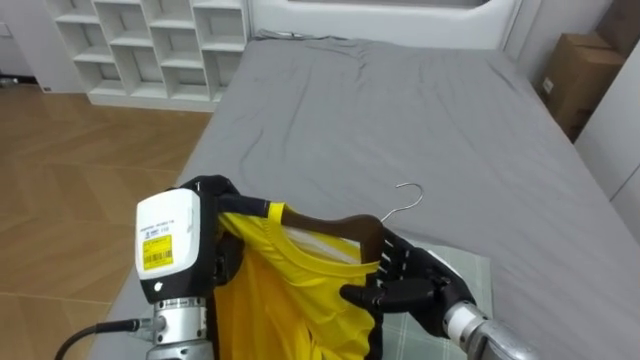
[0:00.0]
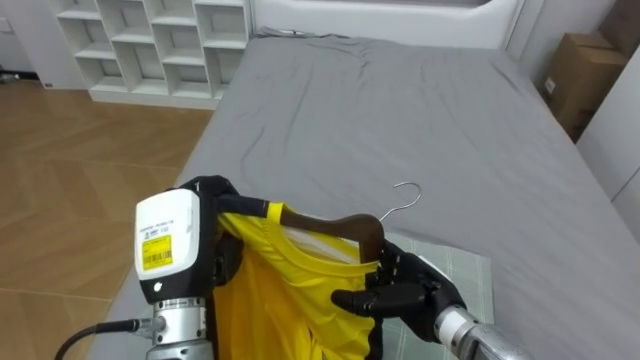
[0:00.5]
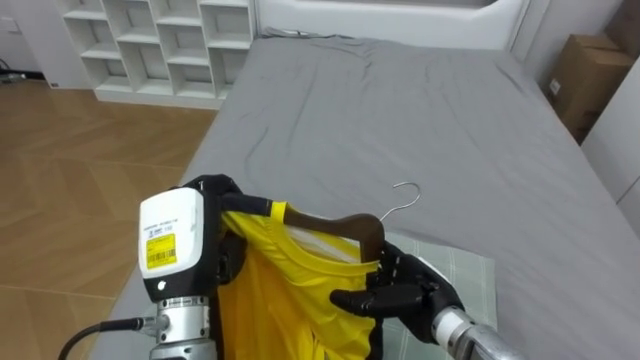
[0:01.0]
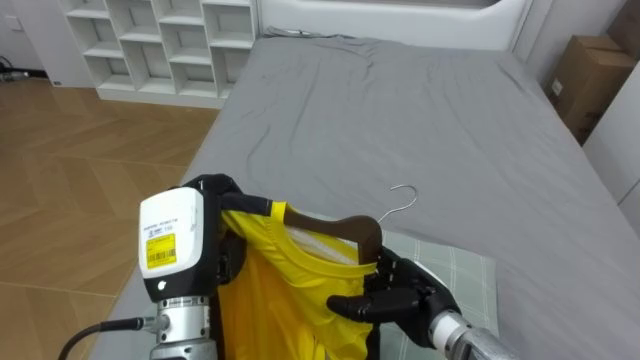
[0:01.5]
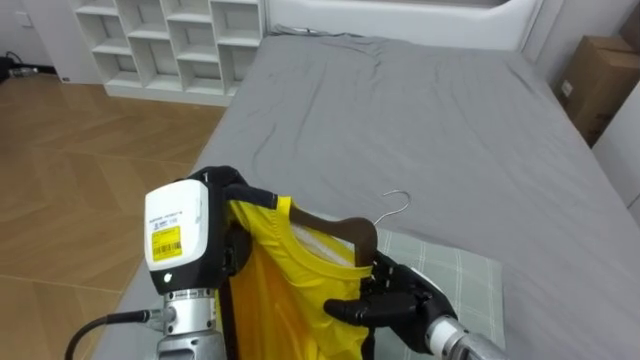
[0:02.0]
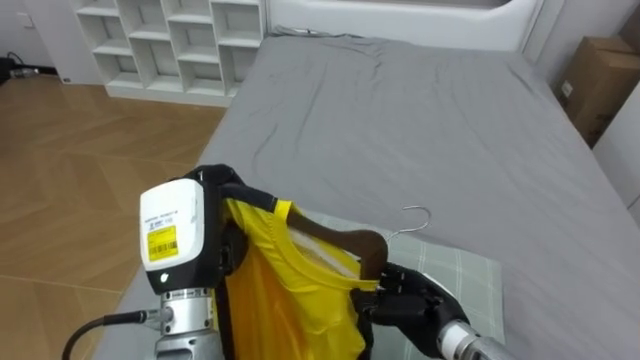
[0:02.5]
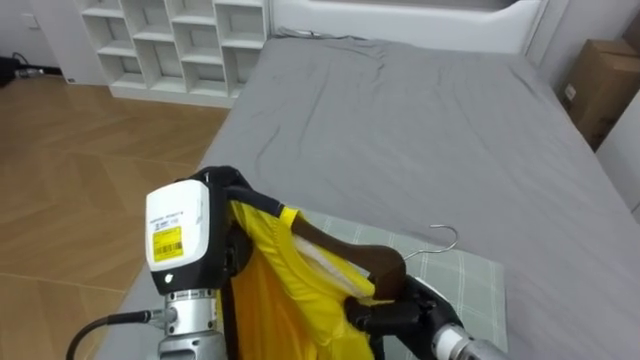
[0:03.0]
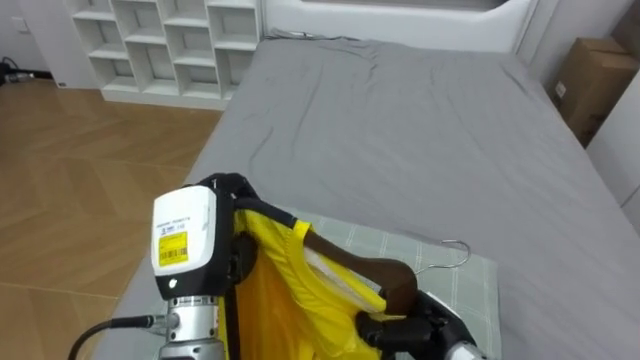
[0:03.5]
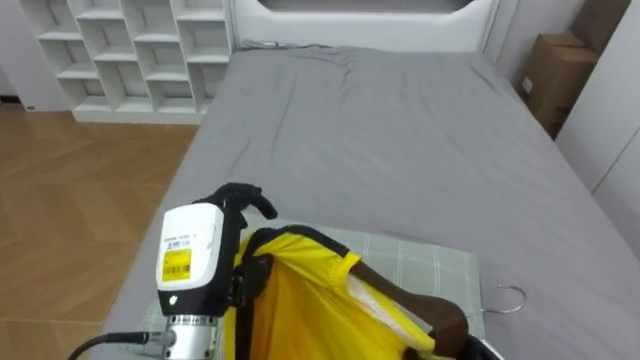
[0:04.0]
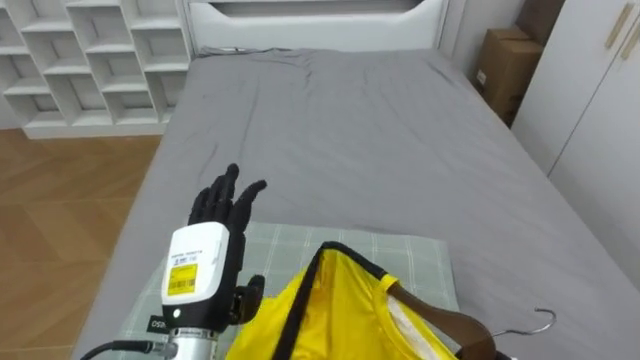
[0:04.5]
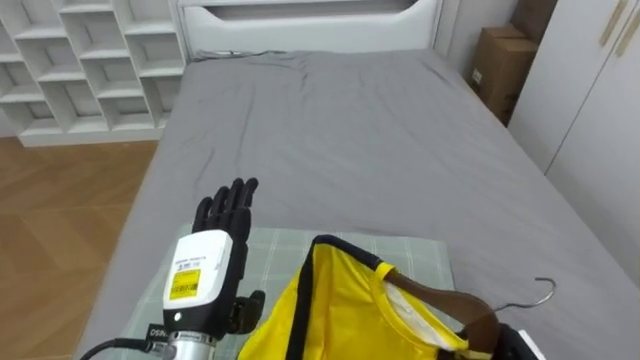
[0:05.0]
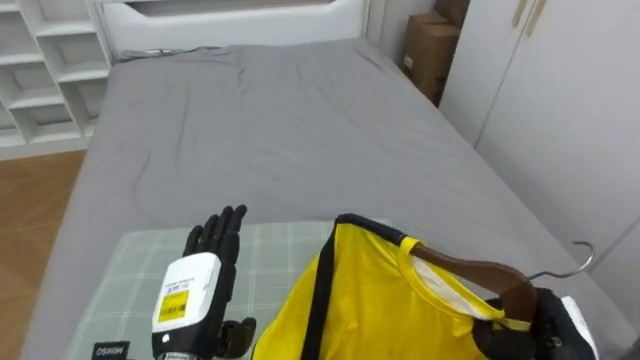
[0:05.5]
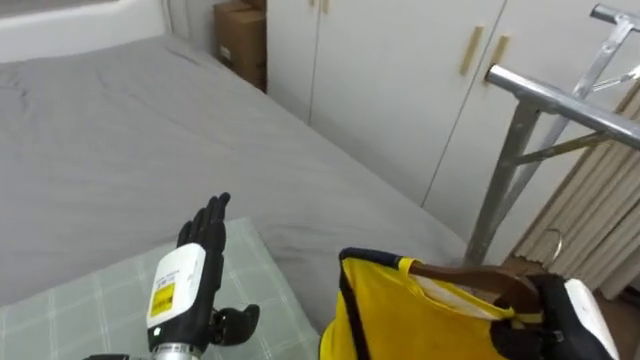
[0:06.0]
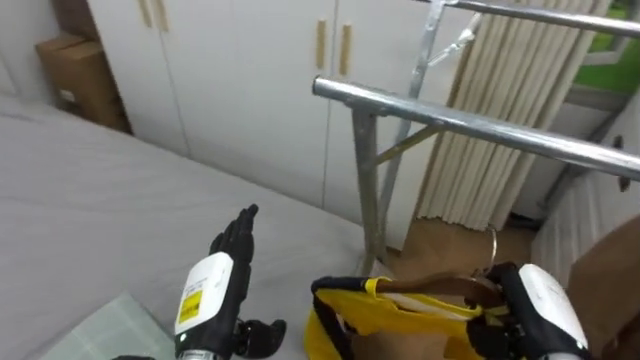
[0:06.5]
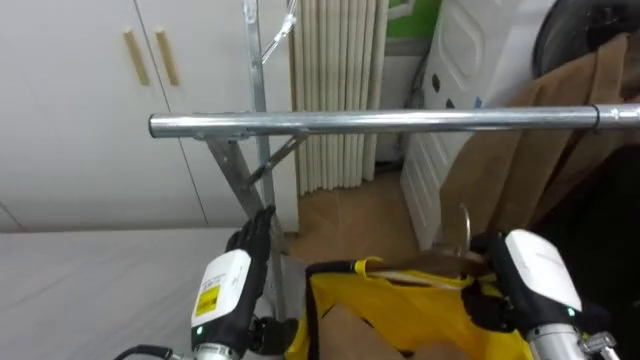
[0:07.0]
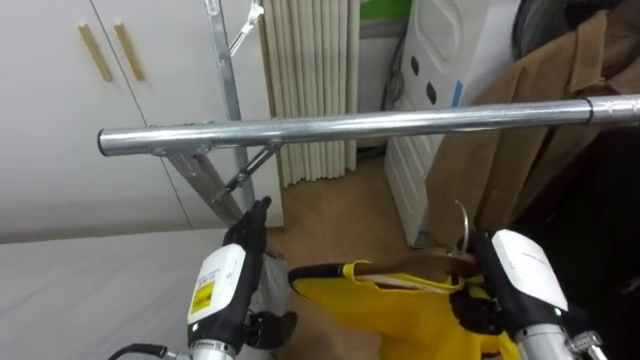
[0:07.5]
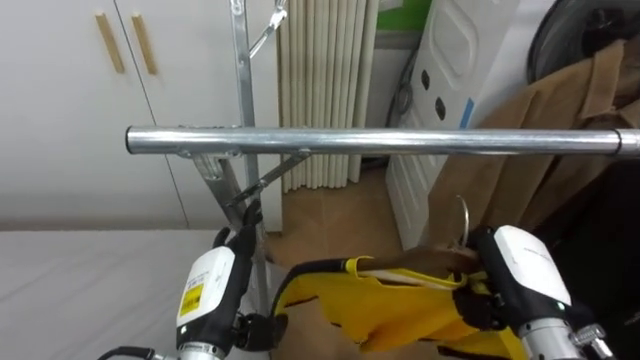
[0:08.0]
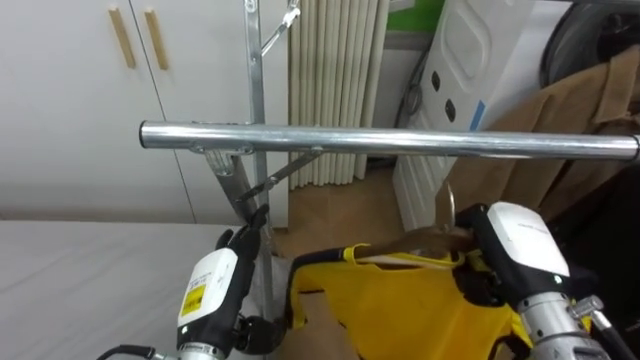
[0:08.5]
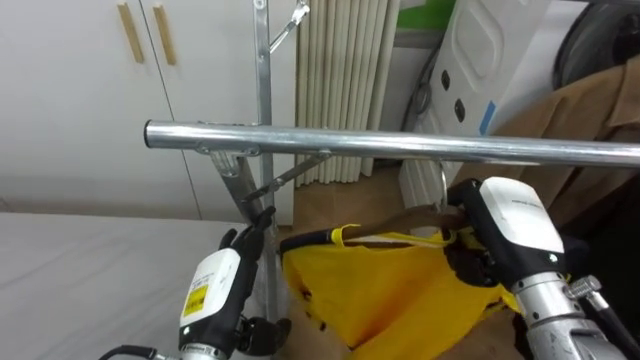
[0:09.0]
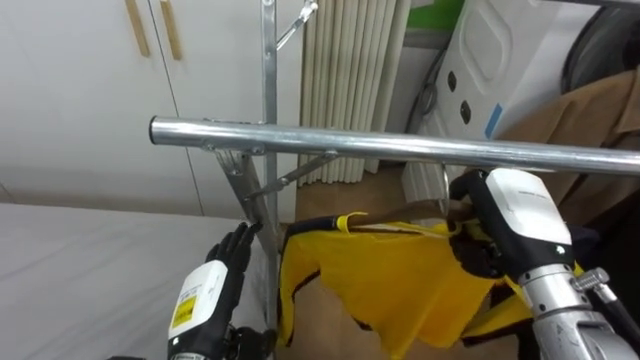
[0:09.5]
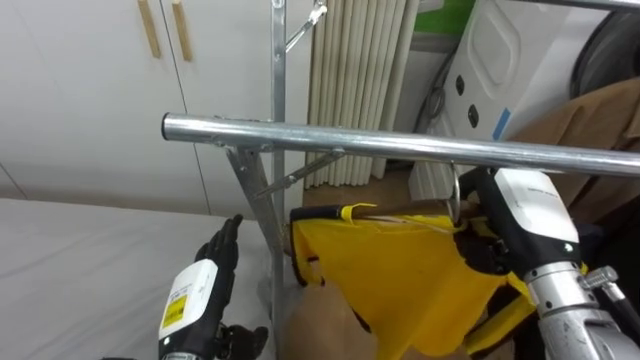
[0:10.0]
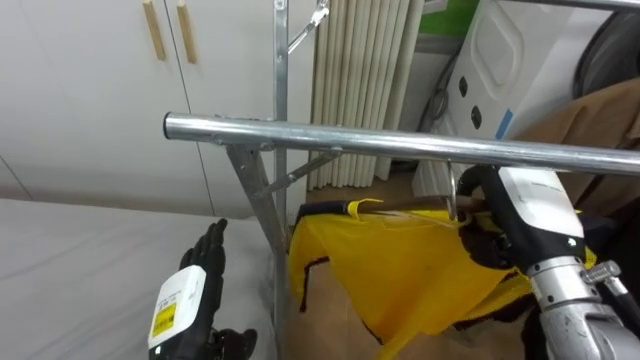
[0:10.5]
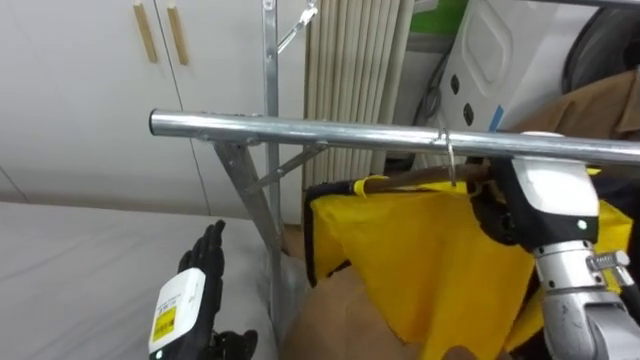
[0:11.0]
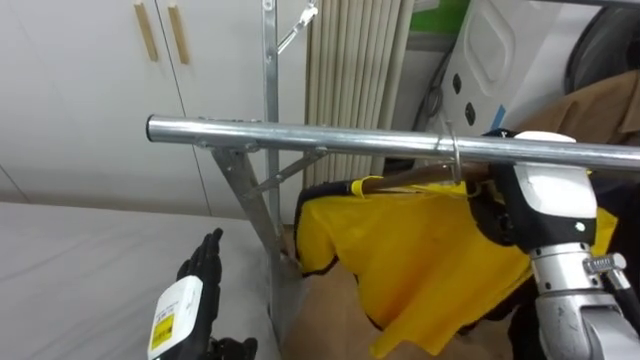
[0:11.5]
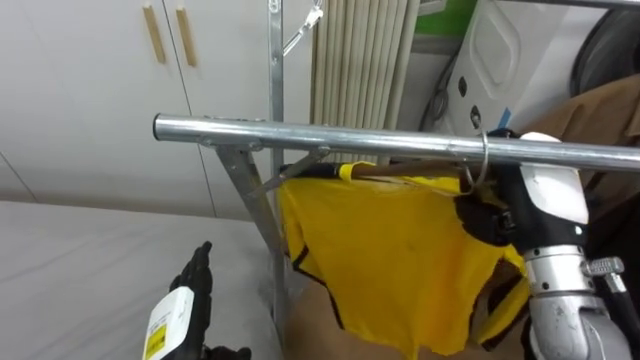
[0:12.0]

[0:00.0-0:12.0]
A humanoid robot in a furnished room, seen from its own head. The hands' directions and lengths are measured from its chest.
Task of the whole recording: Pick up the yellow shirt on the bed and hang it on the clothes rack on the right.
0:04.0 to 0:06.0: The robot's body swings some 40 degrees to its right. The left hand travels downward by approximately 5 cm, and opens up.
0:06.0 to 0:08.0: The robot rotates approximately 55 degrees to its right. The right hand moves to the left and upward, some 10 cm.
0:08.0 to 0:10.0: The right hand goes roughly 5 cm upward.

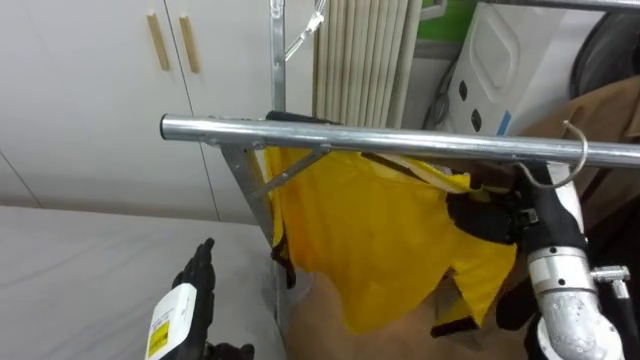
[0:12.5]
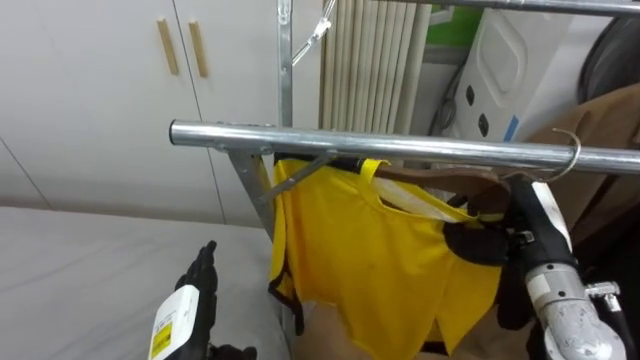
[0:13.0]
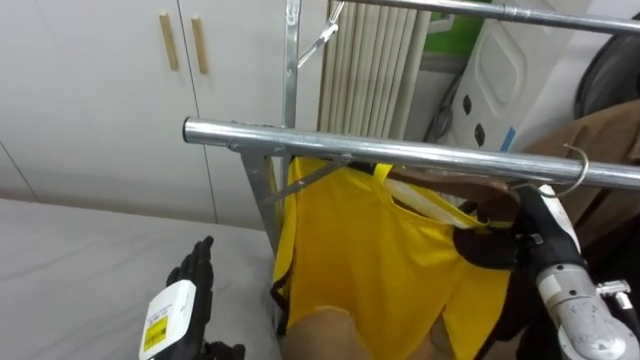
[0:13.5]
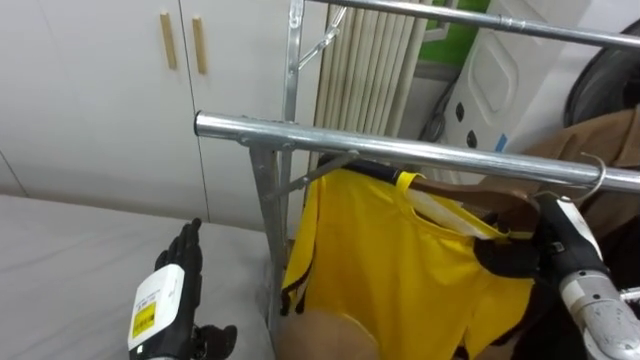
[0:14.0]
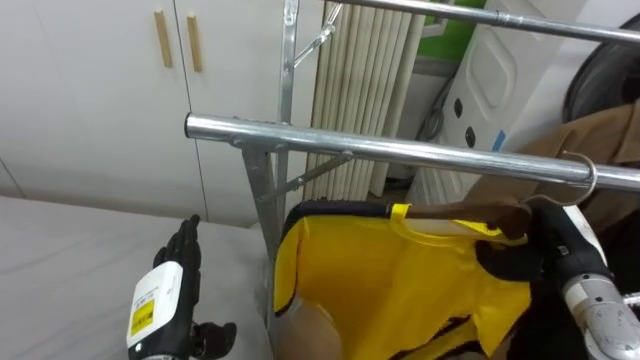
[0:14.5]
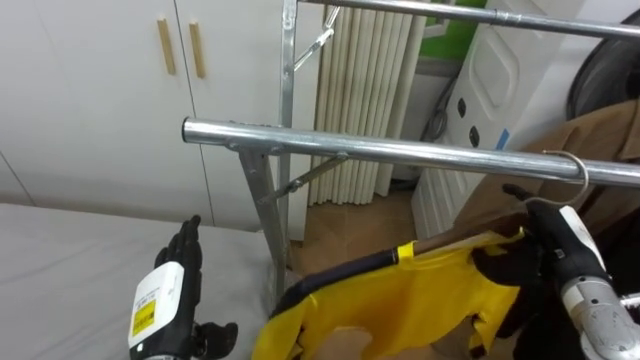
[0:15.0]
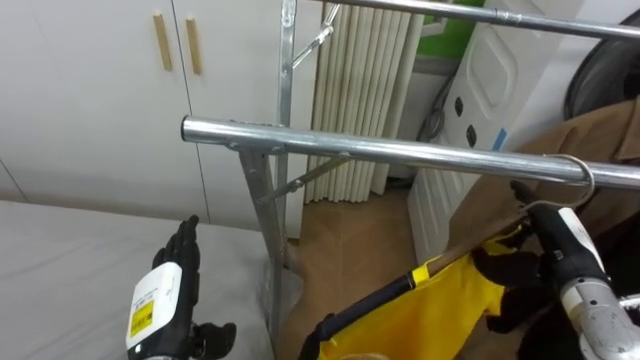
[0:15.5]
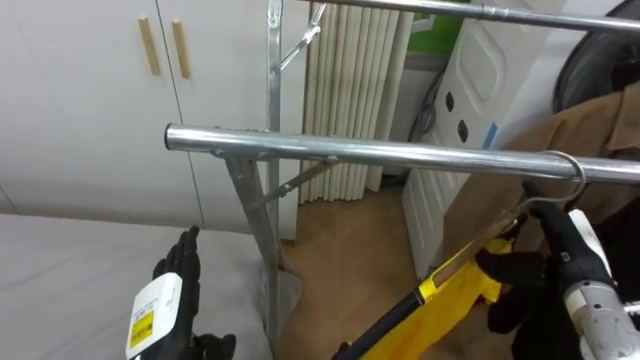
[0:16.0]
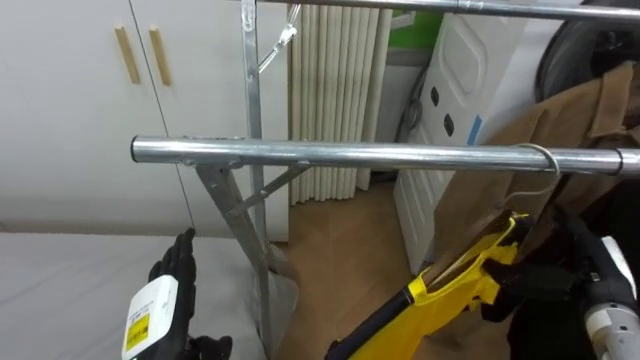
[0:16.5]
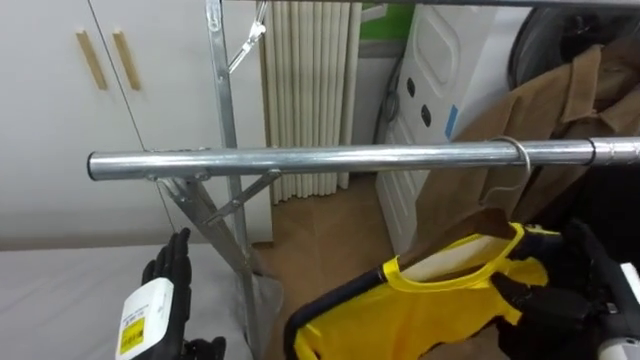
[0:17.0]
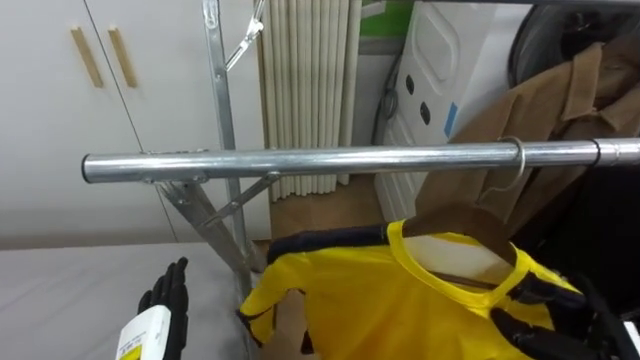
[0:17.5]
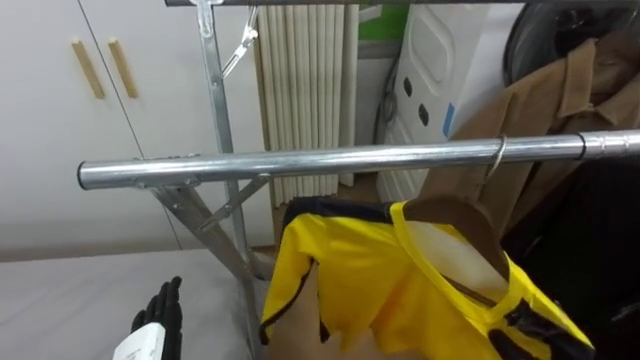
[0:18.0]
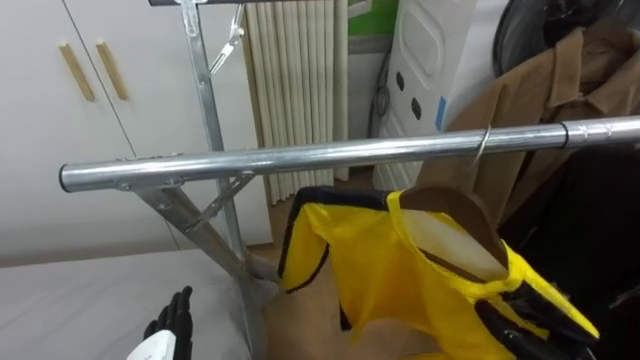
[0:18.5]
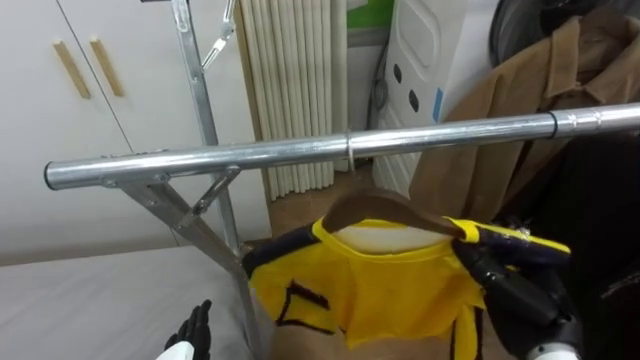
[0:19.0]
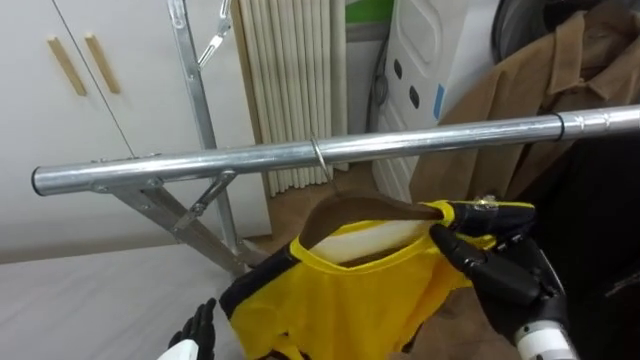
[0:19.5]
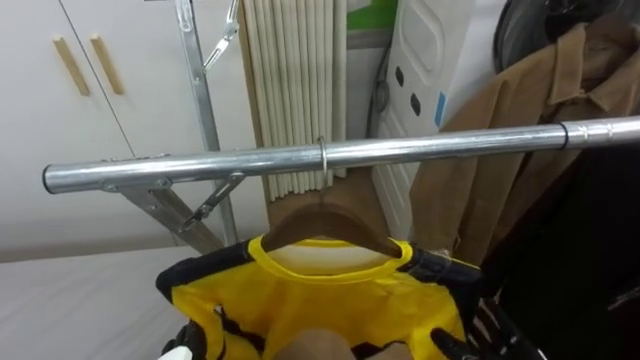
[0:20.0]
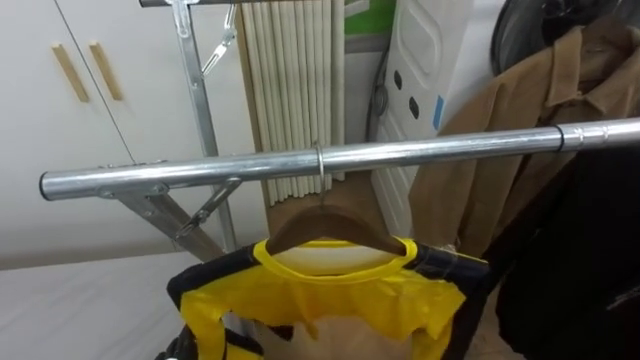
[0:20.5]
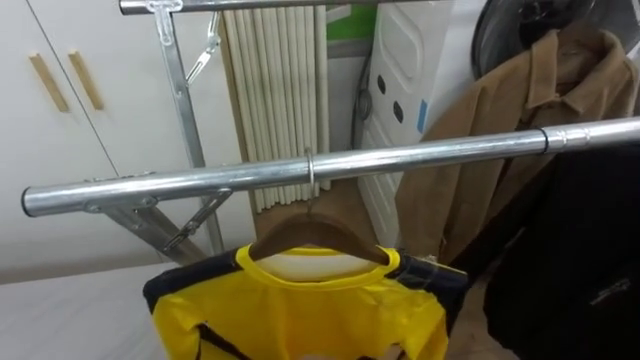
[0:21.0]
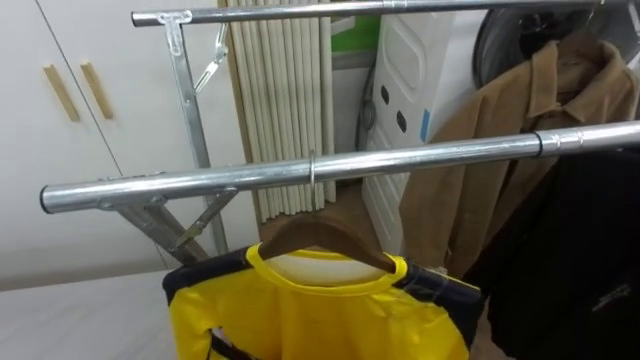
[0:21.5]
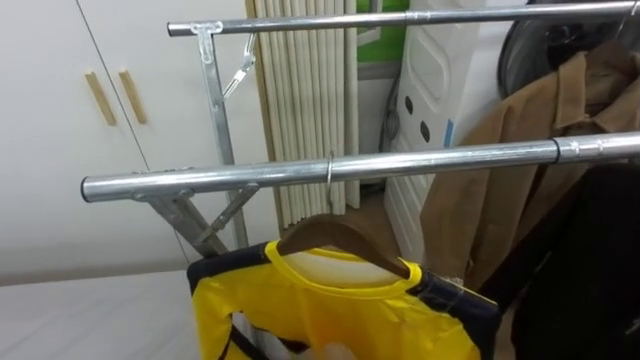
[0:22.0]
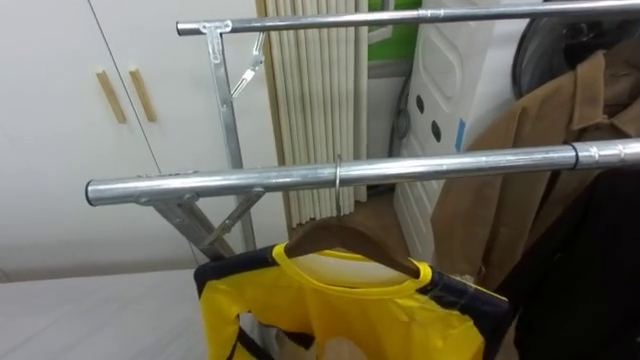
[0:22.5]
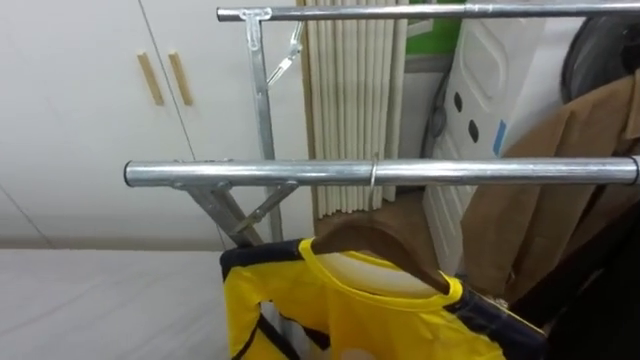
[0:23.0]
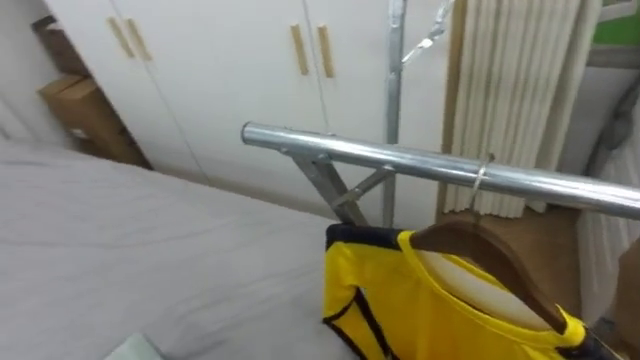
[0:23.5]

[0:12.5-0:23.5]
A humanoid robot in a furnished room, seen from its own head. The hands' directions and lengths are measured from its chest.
Task of the whole recording: Pick up the yellow shirt on the bed and hang it on the clothes rack on the right.
0:12.5 to 0:14.5: The right hand travels downward and to the right by approximately 10 cm.
0:14.5 to 0:16.0: The right hand opens up.
0:21.5 to 0:23.5: The robot rotates approximately 25 degrees to its left.
